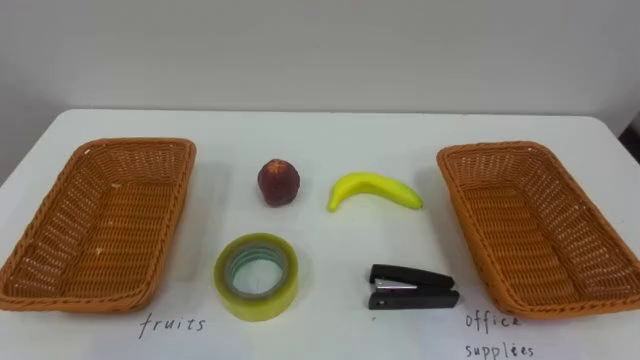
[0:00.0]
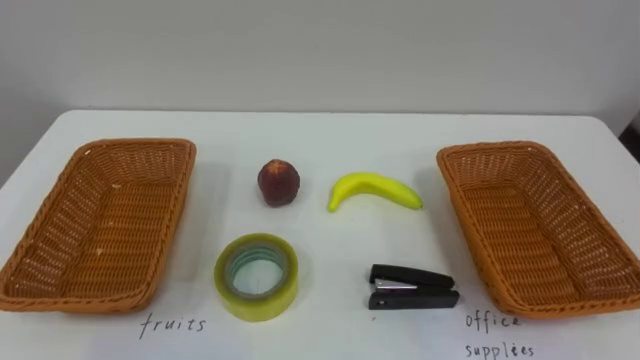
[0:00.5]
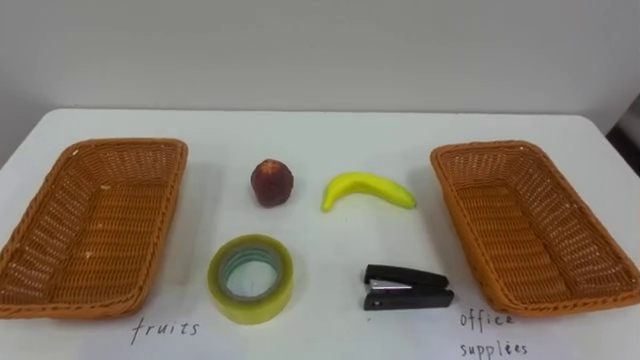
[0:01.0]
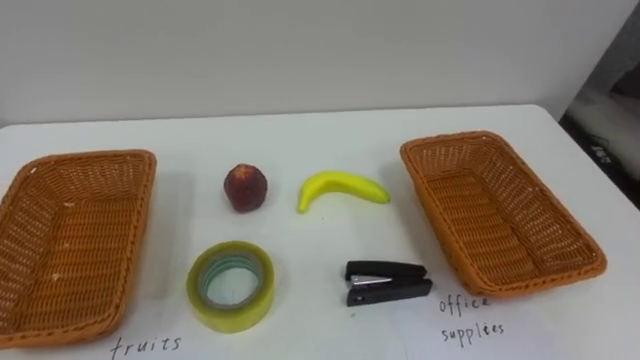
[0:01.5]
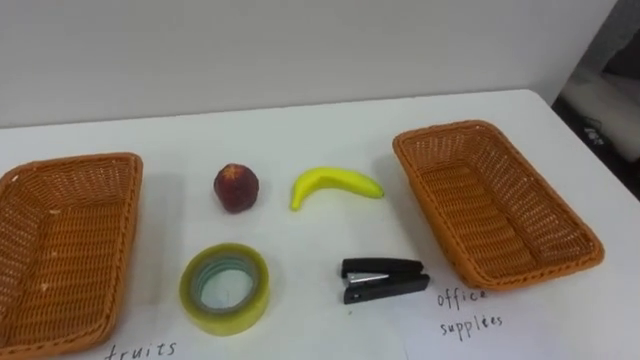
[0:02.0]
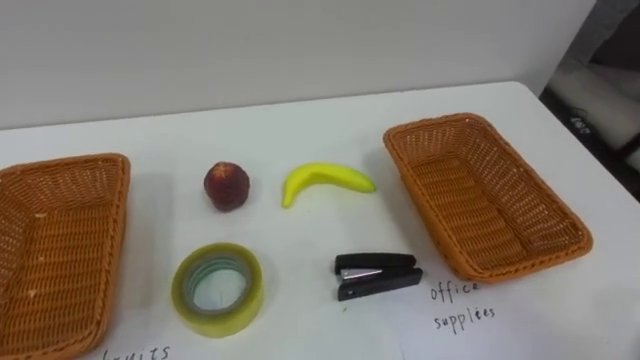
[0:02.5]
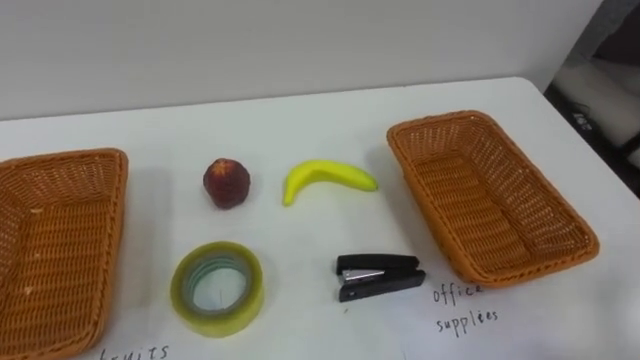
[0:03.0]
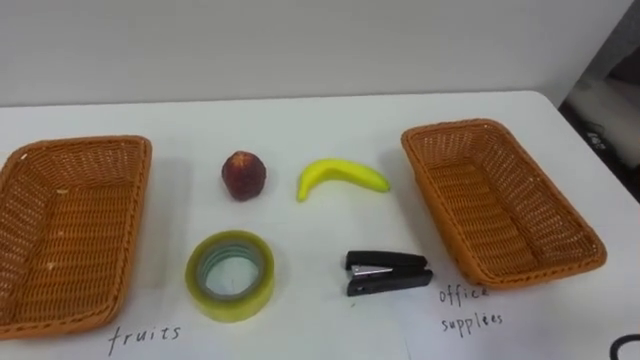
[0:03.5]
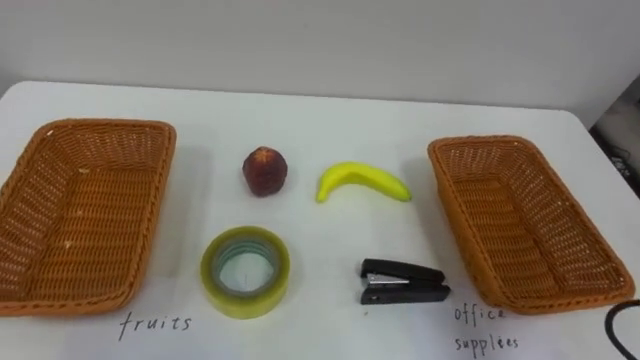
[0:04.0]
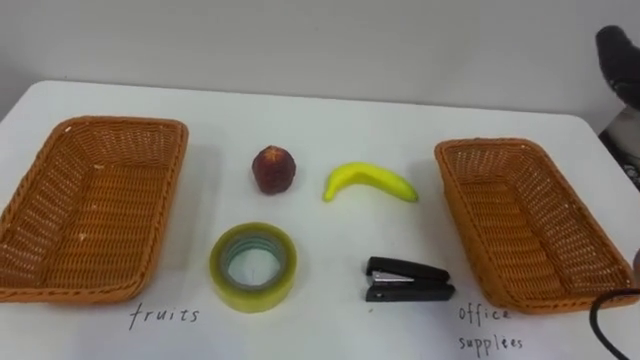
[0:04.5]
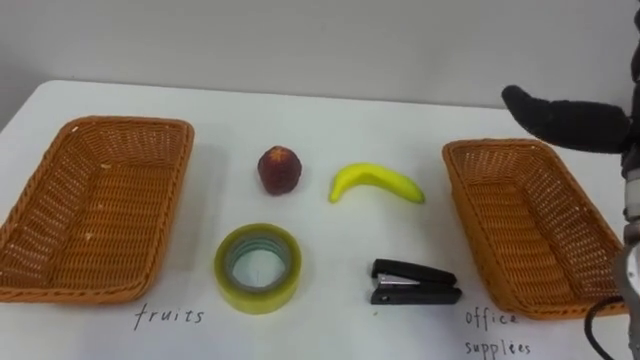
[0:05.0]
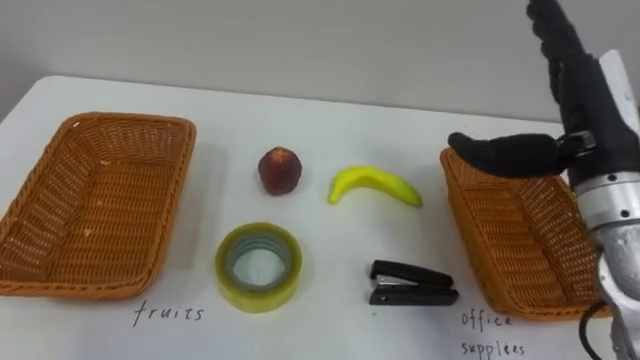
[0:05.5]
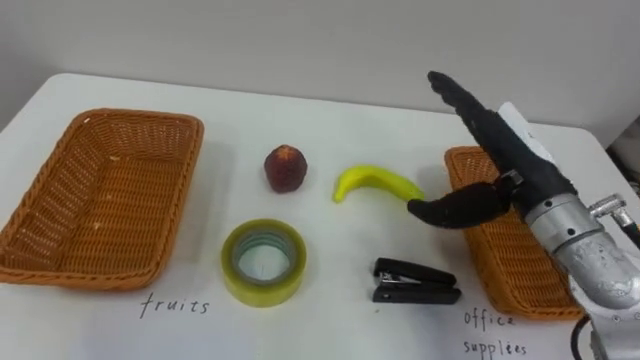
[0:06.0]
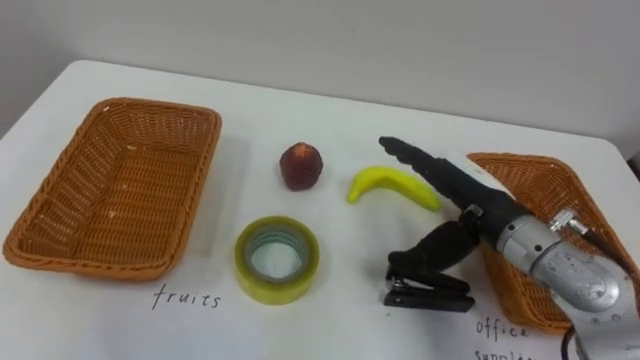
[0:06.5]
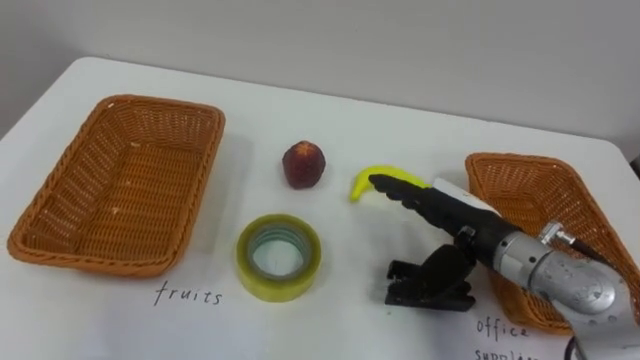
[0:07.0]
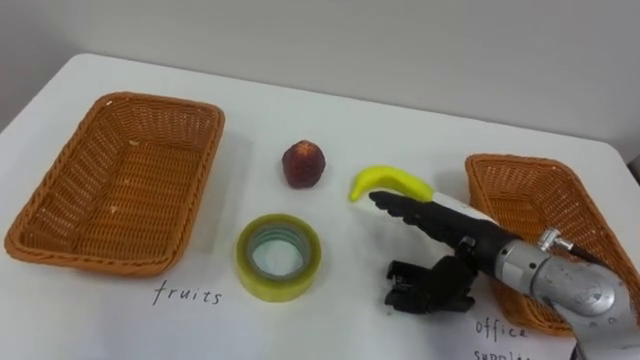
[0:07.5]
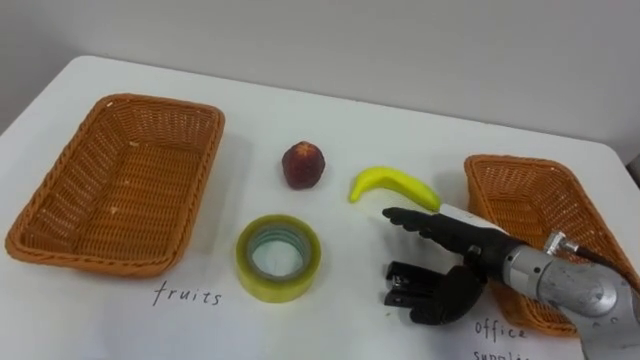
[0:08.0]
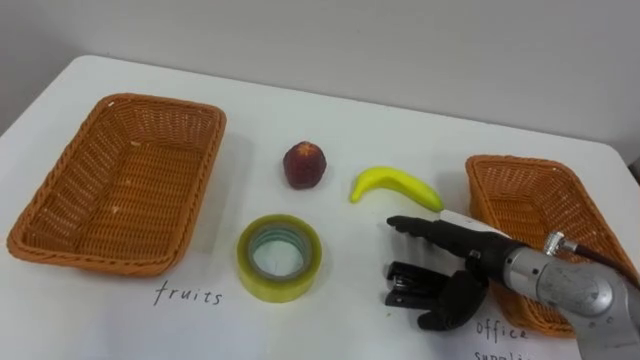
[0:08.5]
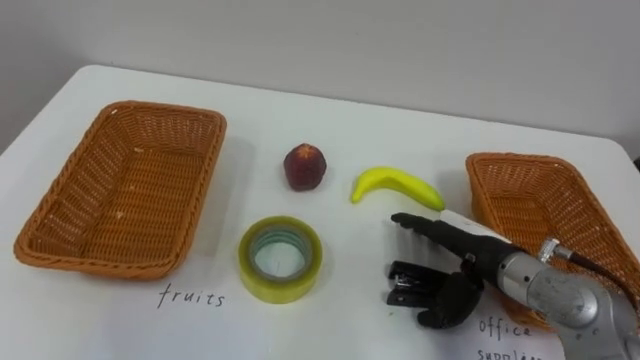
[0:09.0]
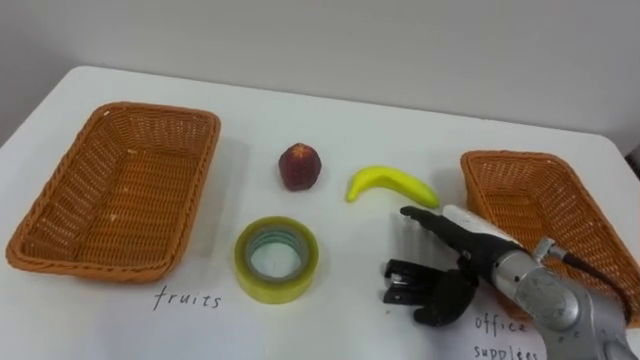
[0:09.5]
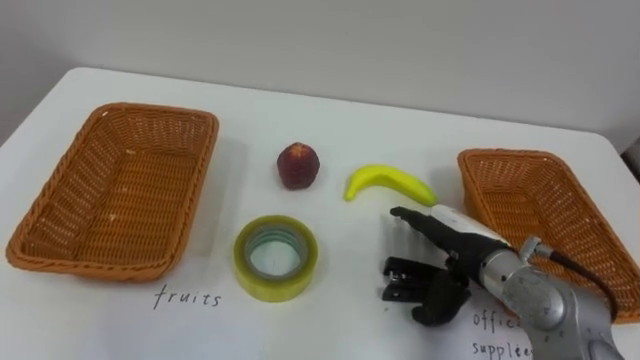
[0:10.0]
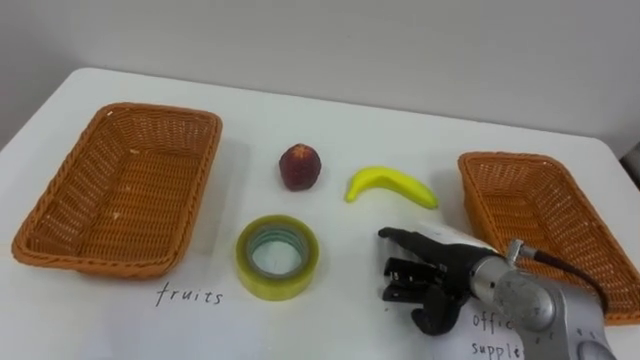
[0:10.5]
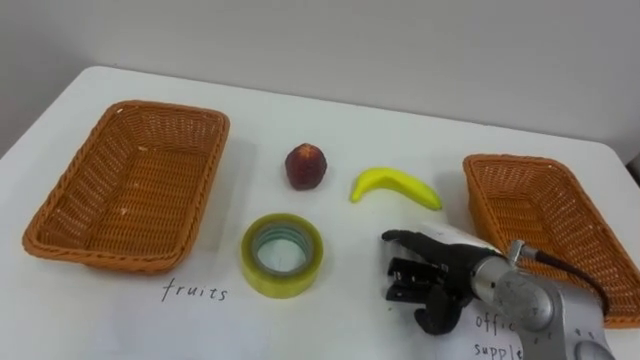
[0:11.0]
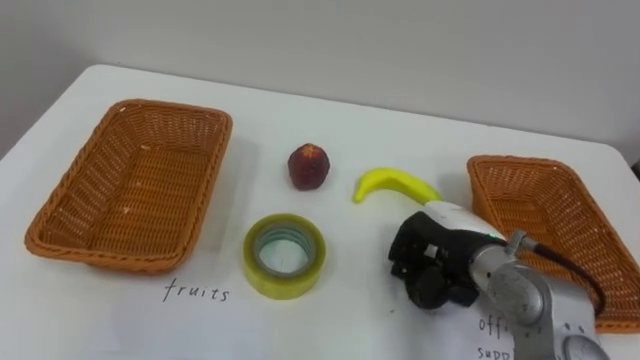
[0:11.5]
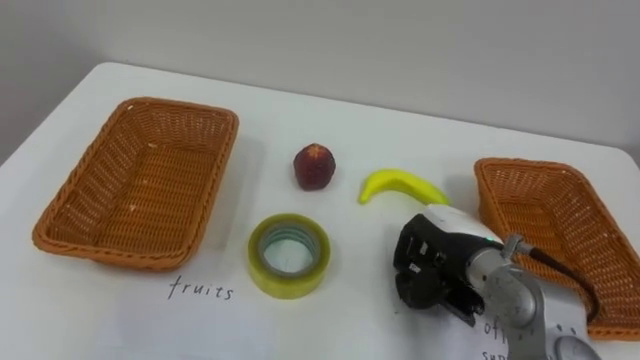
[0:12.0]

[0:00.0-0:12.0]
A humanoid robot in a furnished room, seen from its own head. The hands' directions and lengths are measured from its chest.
Task of the whole recording: Separate the items on the table and place them into the two baskets.
0:06.0 to 0:08.0: The right hand goes approximately 10 cm downward.
0:10.0 to 0:12.0: The right hand closes up.

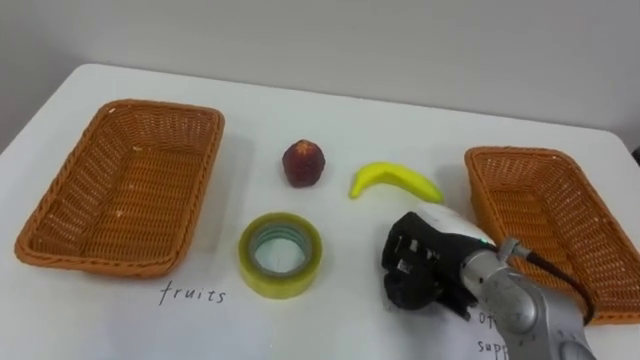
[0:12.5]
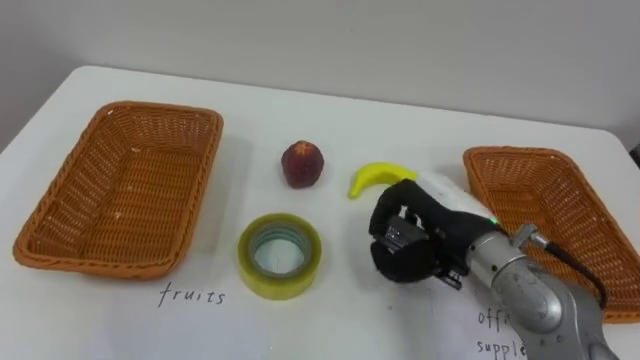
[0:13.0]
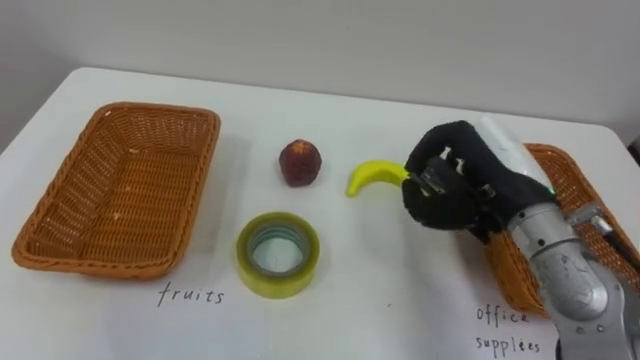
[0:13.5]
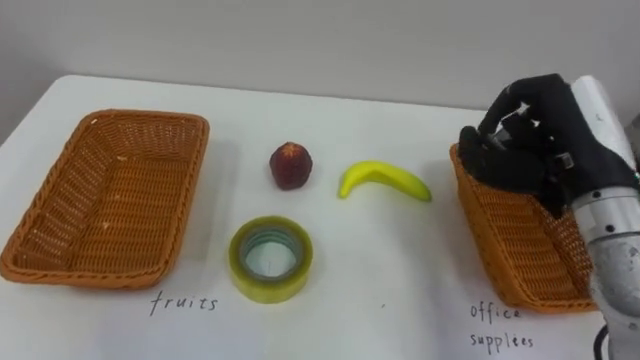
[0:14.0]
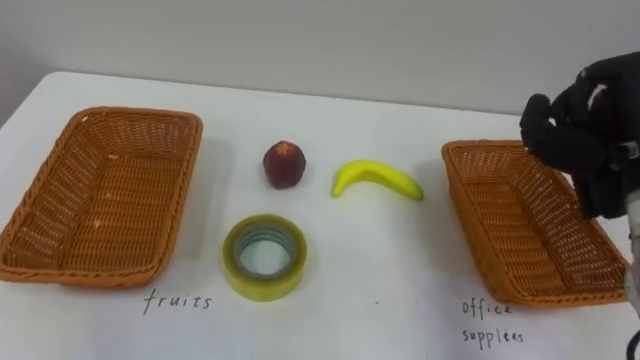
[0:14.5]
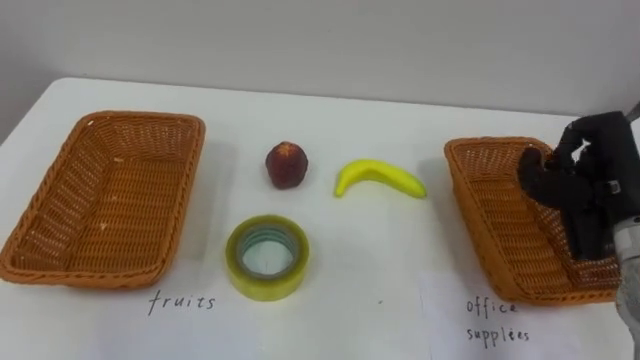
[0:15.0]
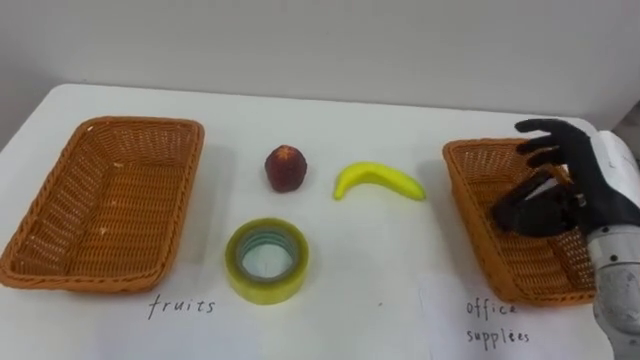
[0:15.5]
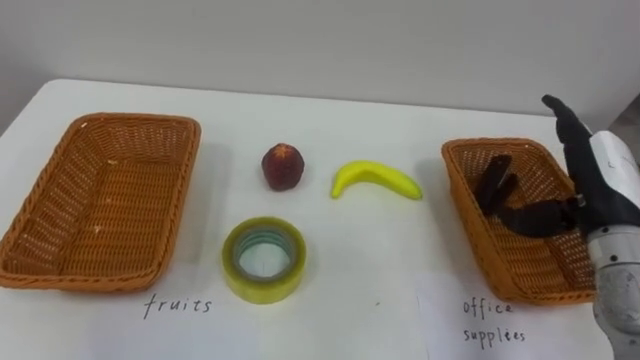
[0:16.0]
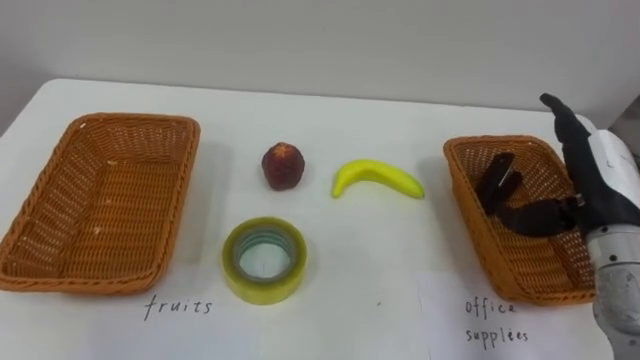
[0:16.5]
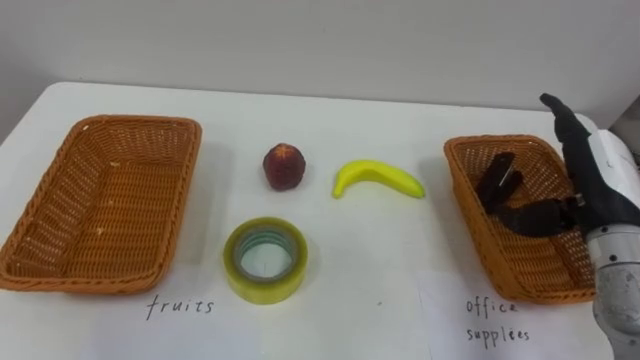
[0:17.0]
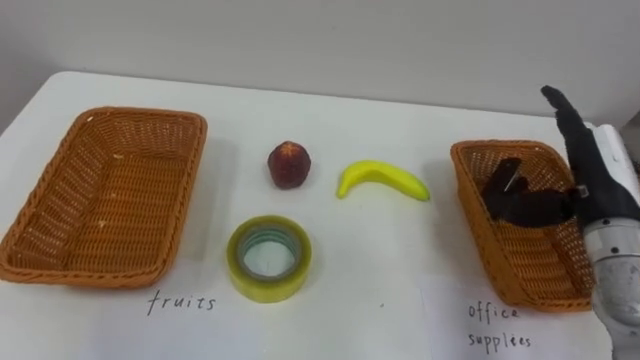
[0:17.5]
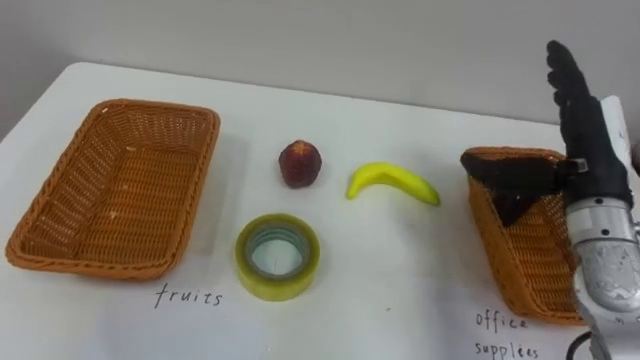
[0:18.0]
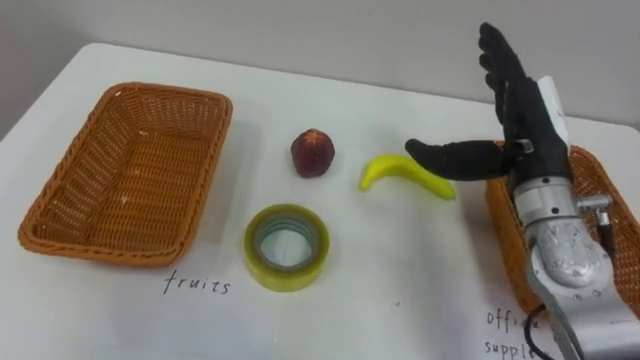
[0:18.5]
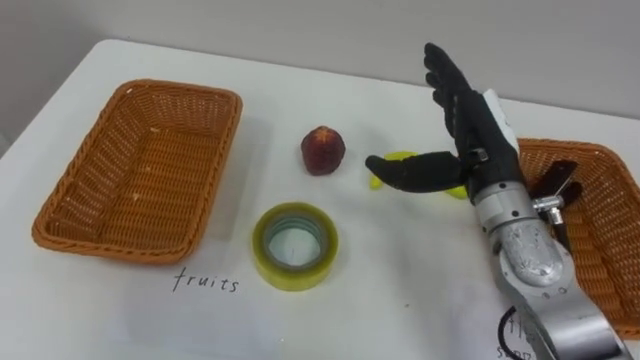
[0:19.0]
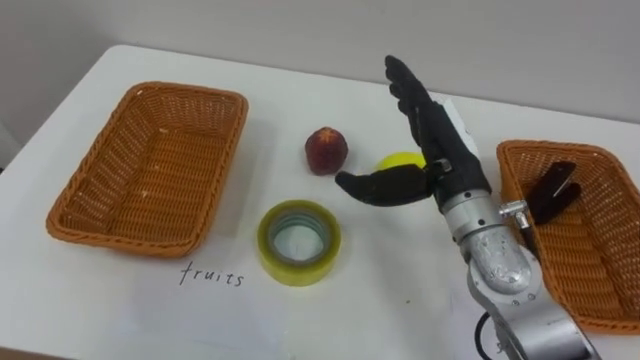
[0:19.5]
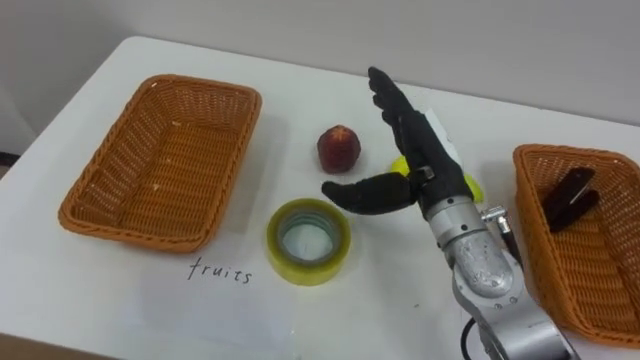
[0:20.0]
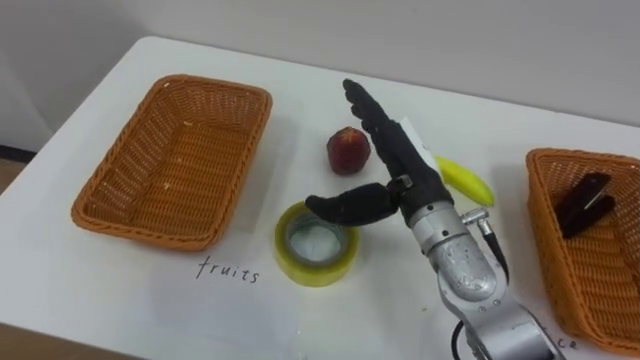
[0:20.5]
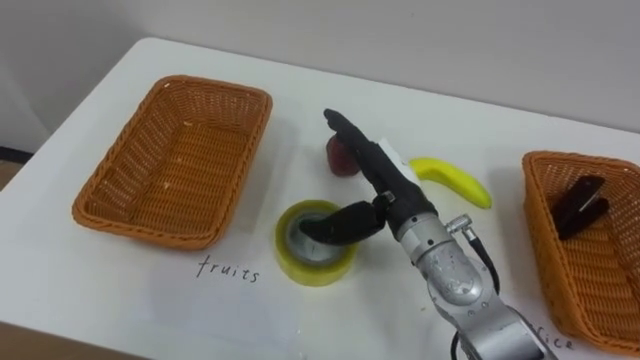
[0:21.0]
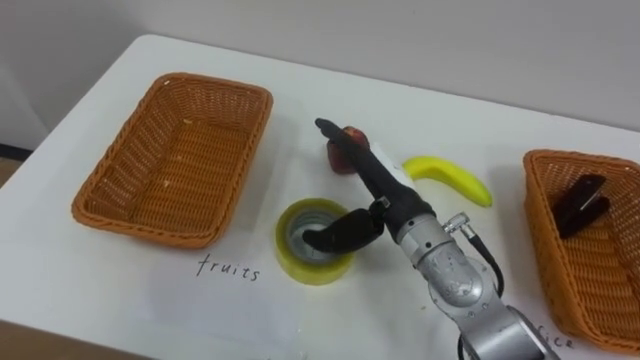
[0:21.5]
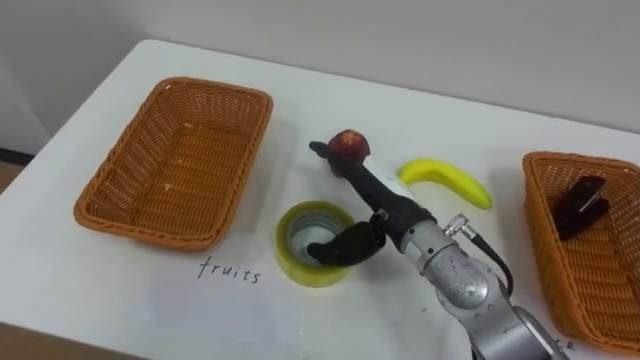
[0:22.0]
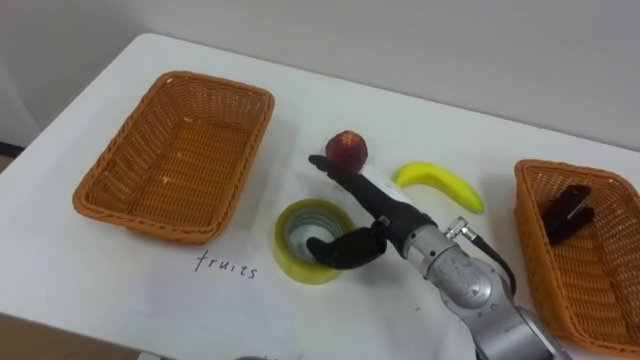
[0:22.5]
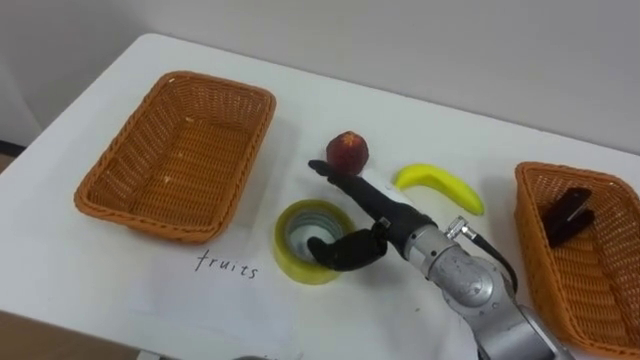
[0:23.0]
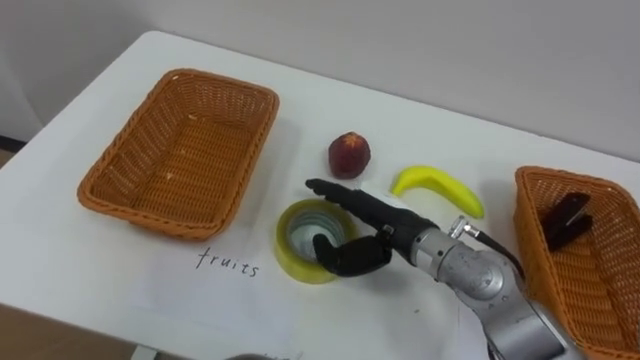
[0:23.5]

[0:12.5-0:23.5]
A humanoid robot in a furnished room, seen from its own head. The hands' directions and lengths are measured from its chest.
Task of the whole recording: Separate the items on the table and place them into the two baskets.
0:12.5 to 0:14.5: The right hand heads upward and to the right, covering some 20 cm.
0:14.5 to 0:16.0: The right hand is displaced downward by about 10 cm, and opens.
0:18.0 to 0:20.0: The right hand shifts roughly 15 cm to the left.
0:20.0 to 0:21.5: The right hand changes place by roughly 5 cm.
